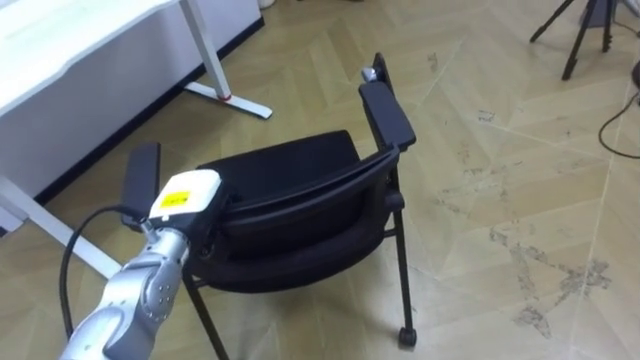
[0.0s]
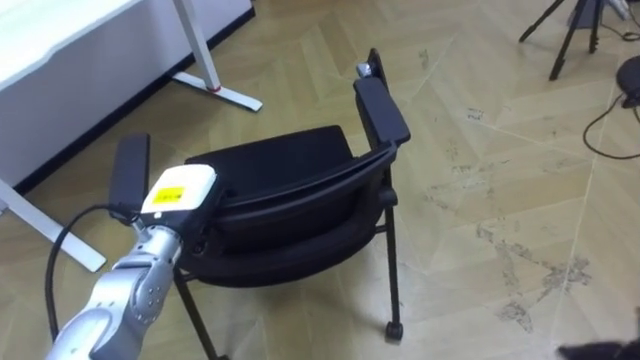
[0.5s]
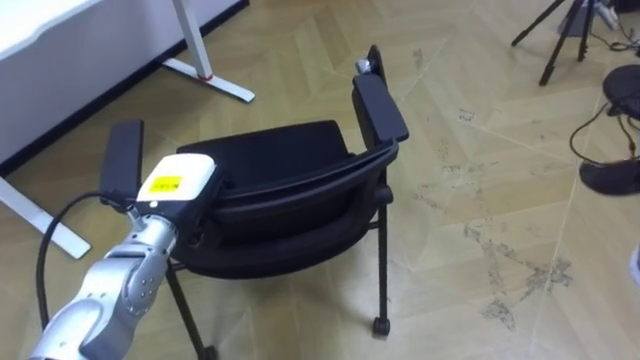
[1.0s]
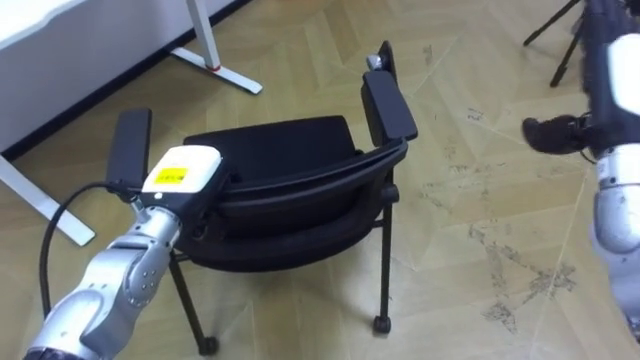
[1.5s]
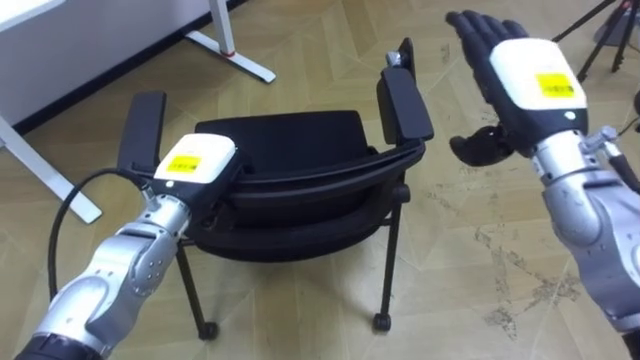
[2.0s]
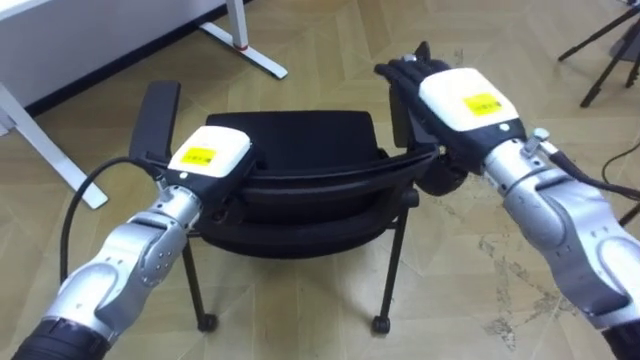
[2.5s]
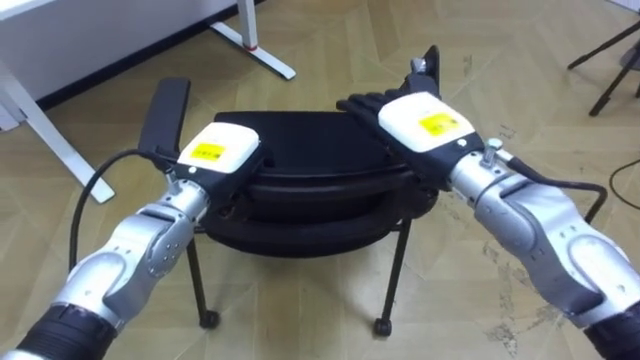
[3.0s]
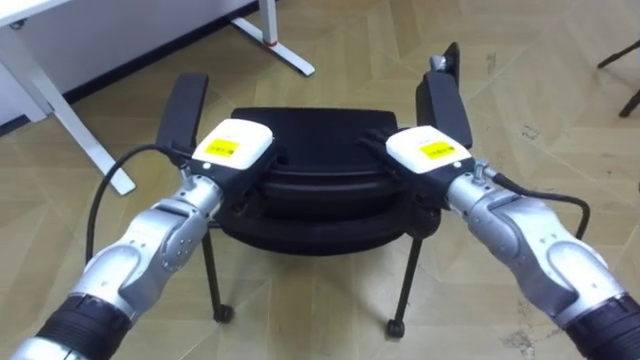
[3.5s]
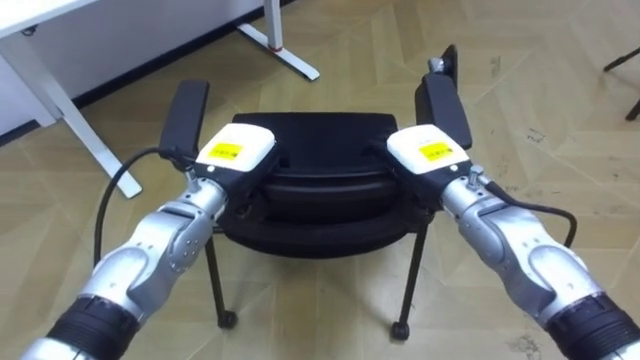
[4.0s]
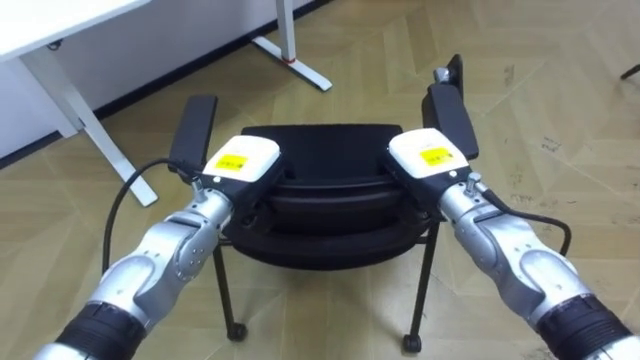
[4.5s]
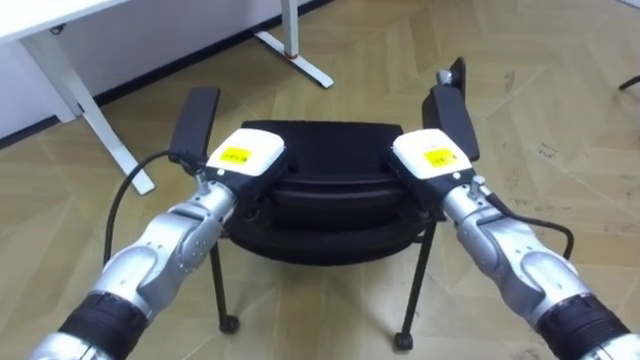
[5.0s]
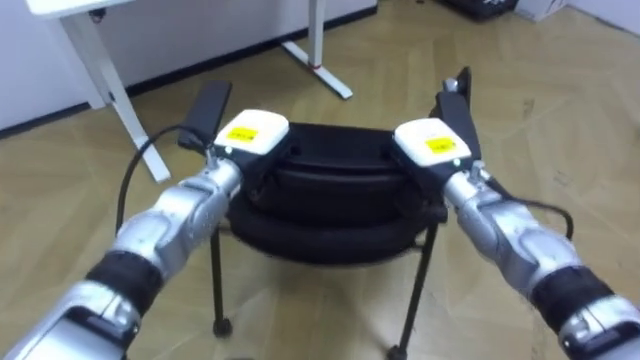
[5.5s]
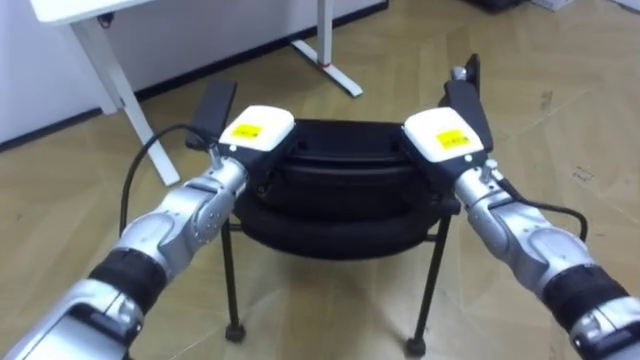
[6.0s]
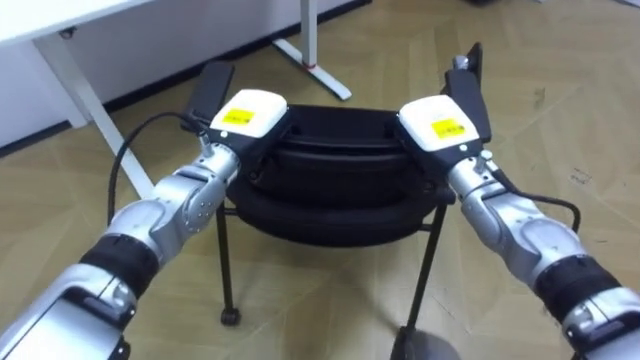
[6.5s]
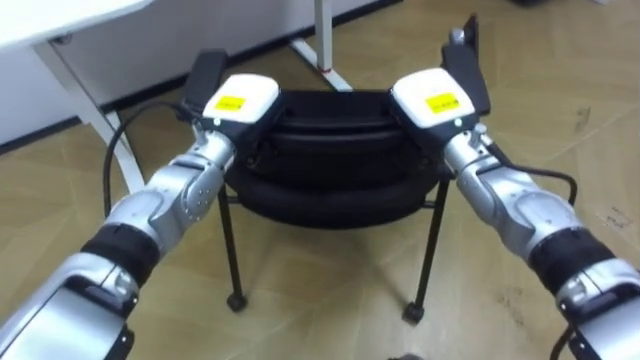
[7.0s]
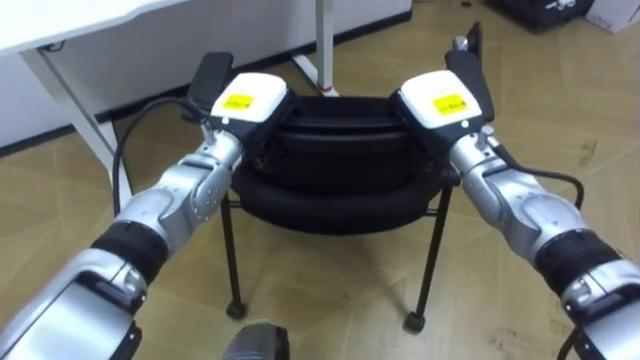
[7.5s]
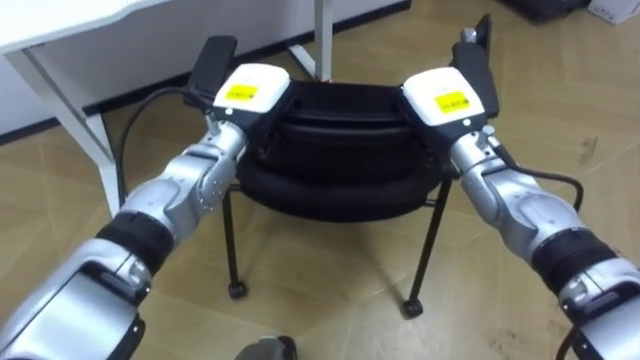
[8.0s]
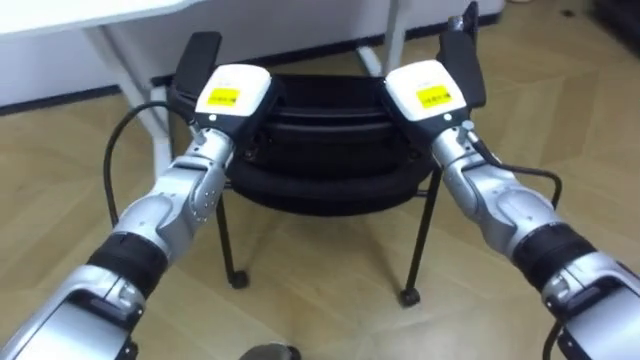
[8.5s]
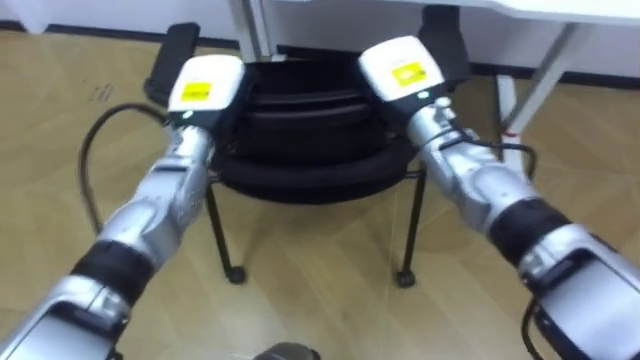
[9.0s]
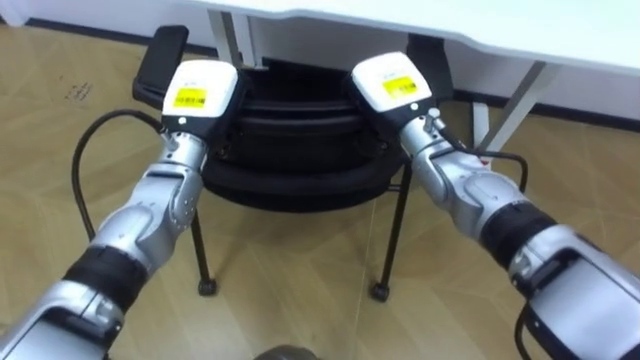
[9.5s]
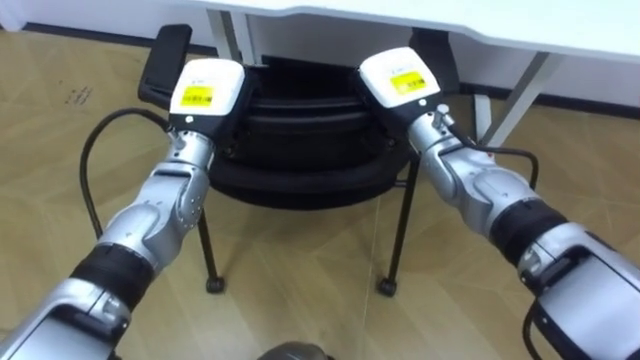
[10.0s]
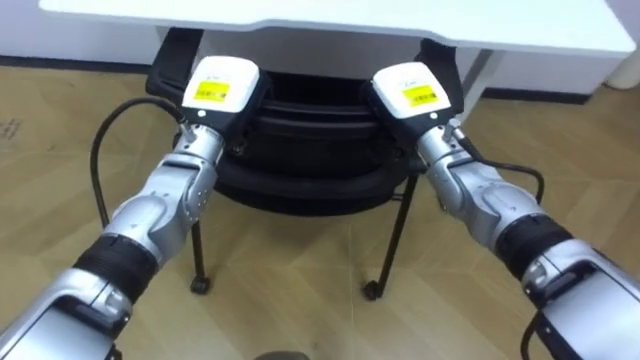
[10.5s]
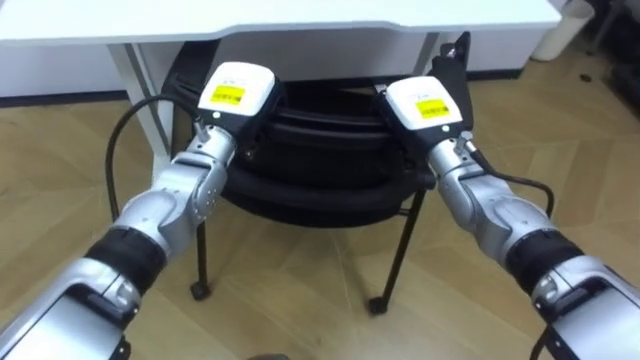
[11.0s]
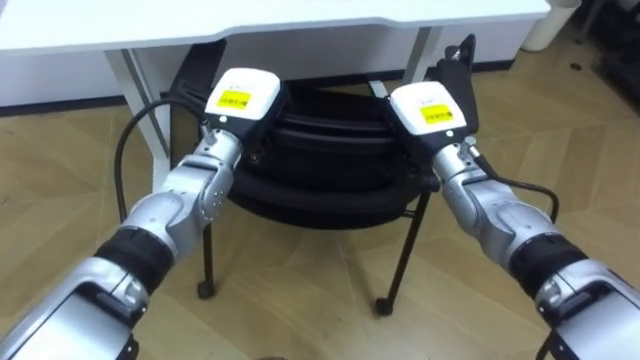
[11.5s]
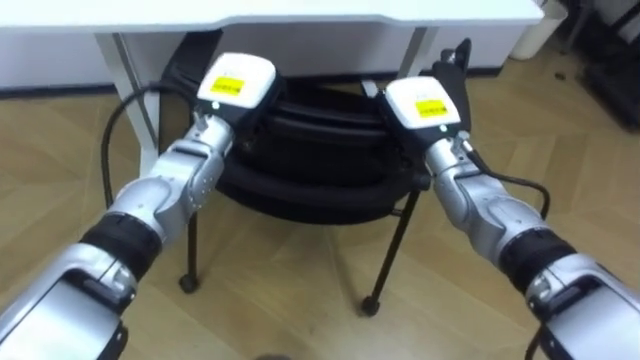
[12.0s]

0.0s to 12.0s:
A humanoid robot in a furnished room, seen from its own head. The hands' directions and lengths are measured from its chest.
Task of the whole recording: Push the chair under the table.
0.0s to 2.0s: The left hand is displaced upward by some 5 cm.
2.0s to 4.0s: The right hand goes some 15 cm downward and to the left, while the left hand shifts by some 5 cm.
4.0s to 6.0s: The right hand closes up.
6.0s to 8.0s: The right hand shifts by about 5 cm.
8.0s to 10.0s: The right hand travels to the left by roughly 5 cm.

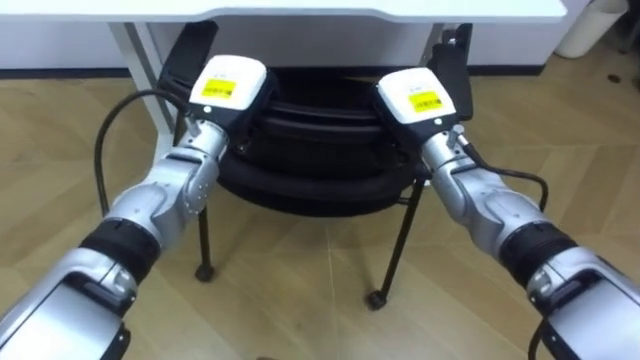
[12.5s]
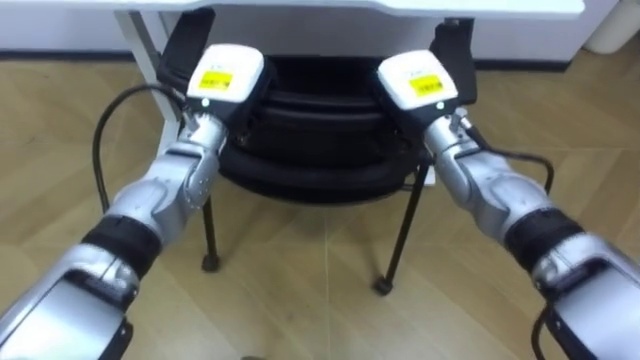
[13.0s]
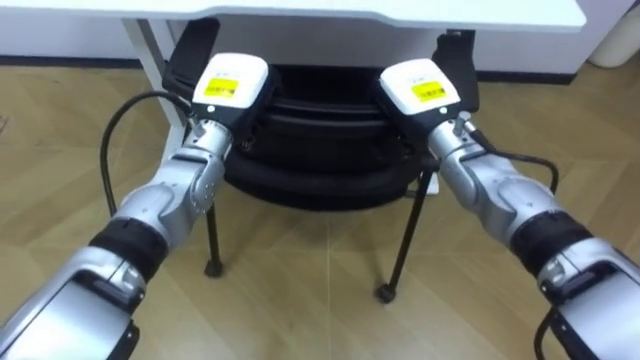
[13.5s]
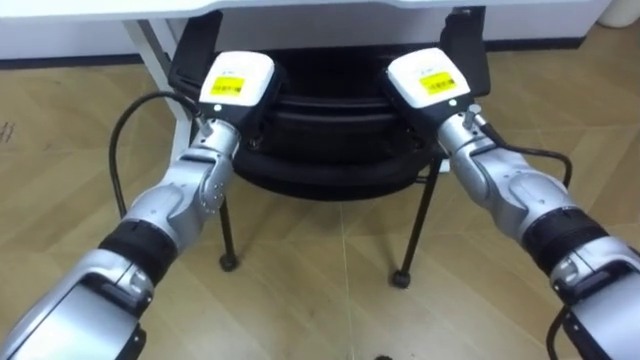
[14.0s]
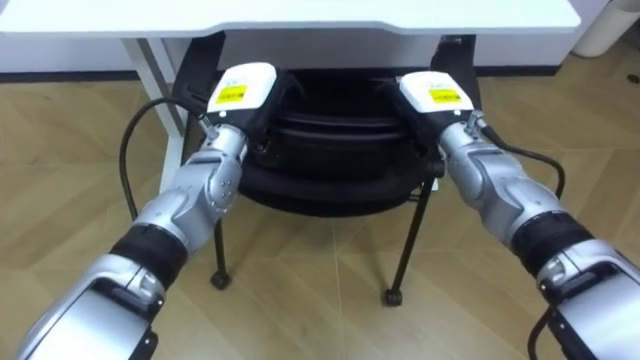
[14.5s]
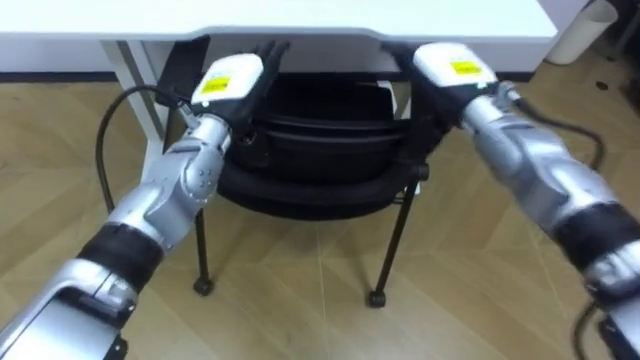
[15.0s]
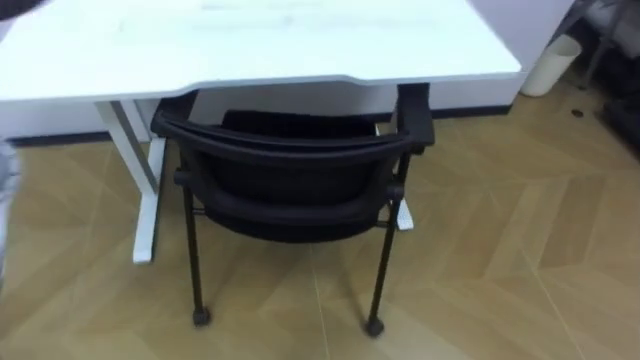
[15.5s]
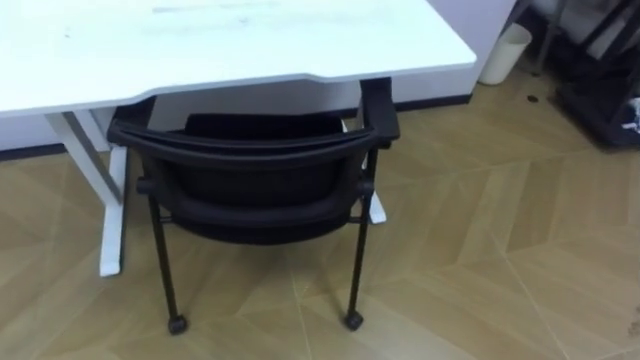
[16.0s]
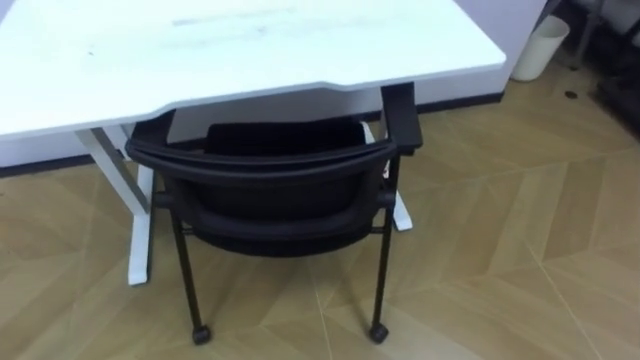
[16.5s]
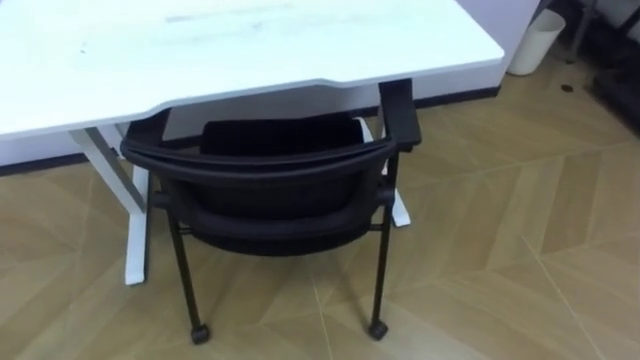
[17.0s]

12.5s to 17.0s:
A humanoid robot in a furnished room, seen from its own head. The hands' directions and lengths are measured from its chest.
Task of the whole recording: Push the chair under the table.
12.5s to 14.5s: The left hand opens its fingers; the right hand opens its fingers.

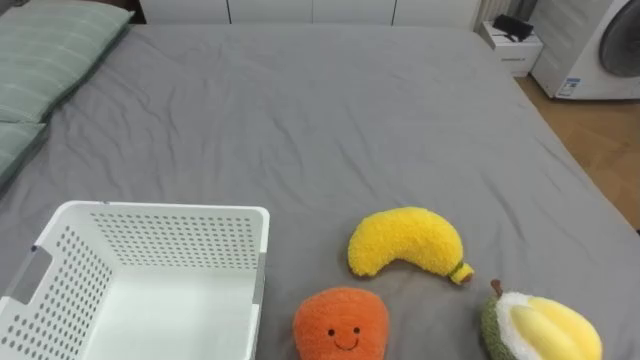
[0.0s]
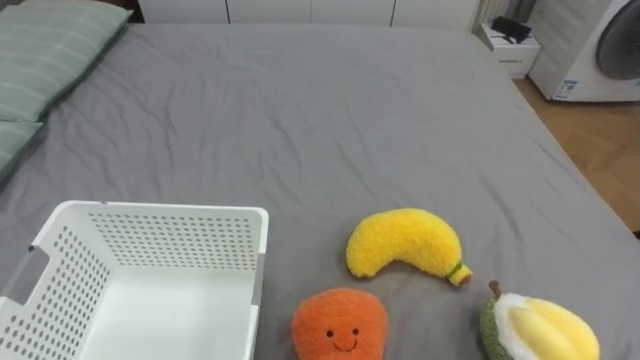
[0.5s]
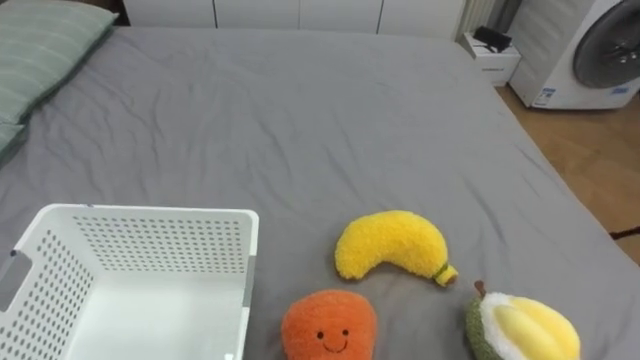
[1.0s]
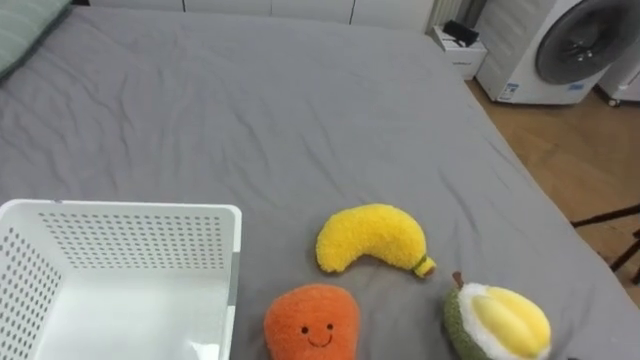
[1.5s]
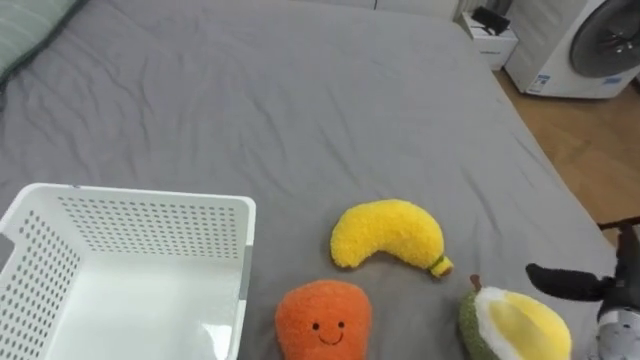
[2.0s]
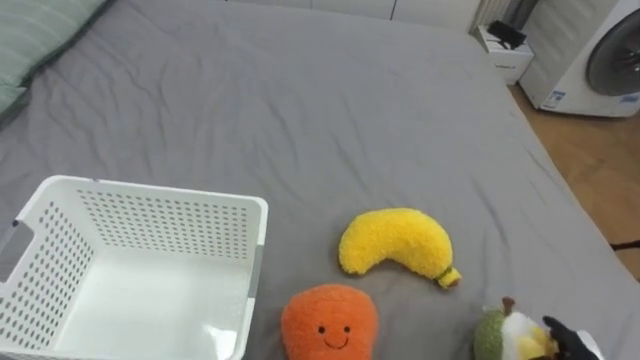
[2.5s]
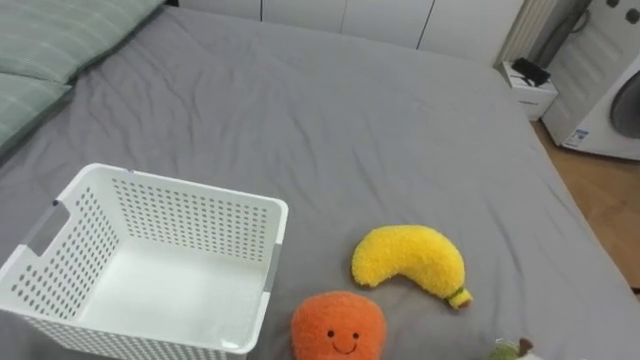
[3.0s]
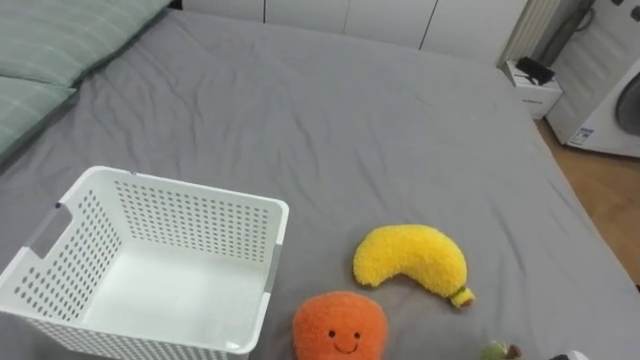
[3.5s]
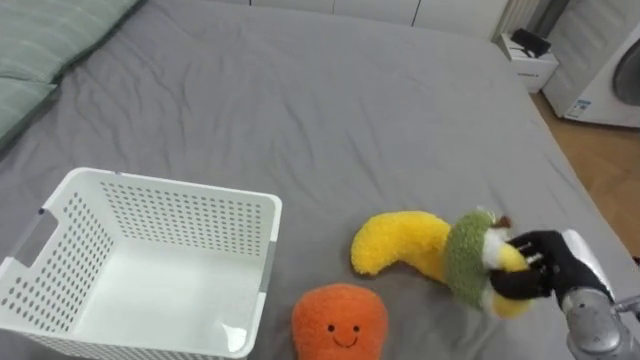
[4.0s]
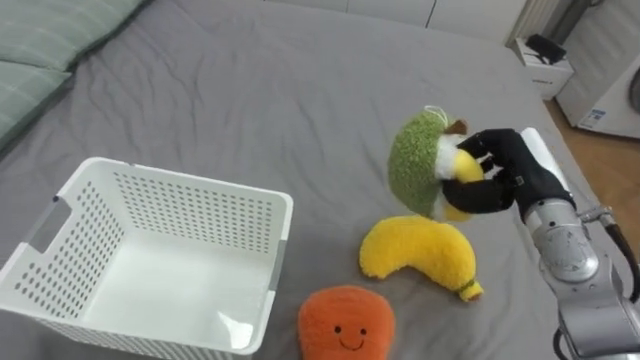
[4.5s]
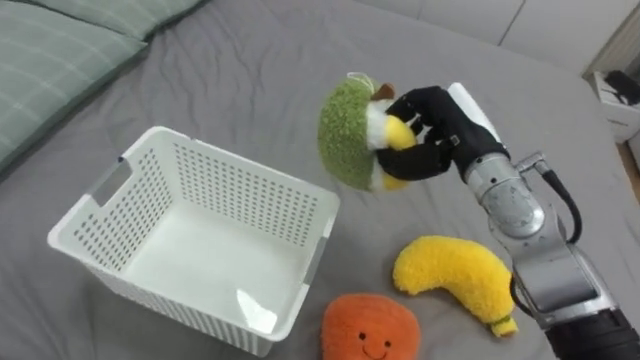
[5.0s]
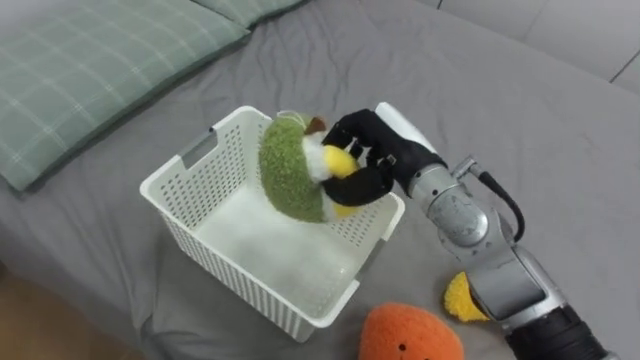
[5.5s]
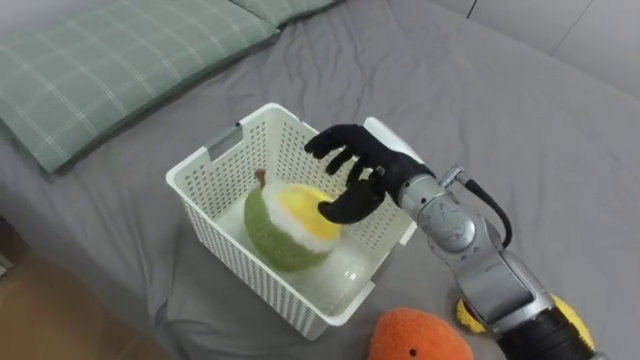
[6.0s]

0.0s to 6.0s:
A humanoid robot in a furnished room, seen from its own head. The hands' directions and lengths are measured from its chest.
Task of the whole recording: Put the toys on the bed into the basket on the left.
4.0s to 6.0s: The right hand heads to the left and upward, covering approximately 30 cm.
